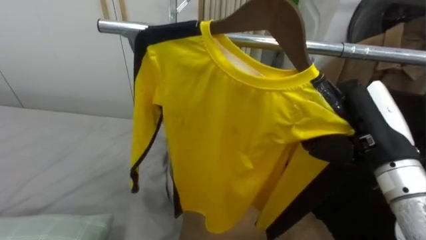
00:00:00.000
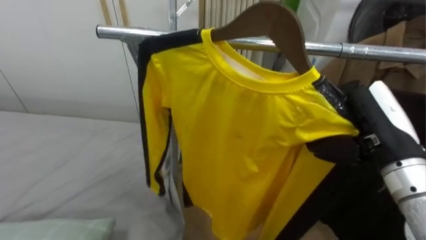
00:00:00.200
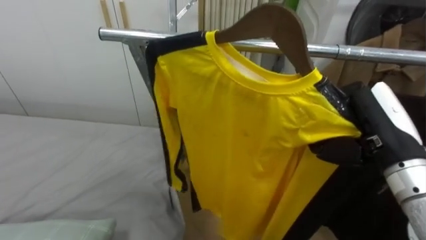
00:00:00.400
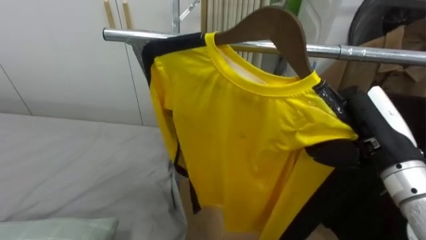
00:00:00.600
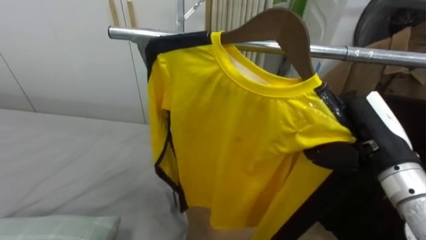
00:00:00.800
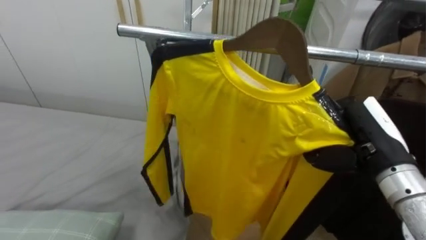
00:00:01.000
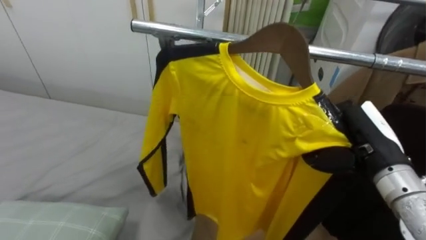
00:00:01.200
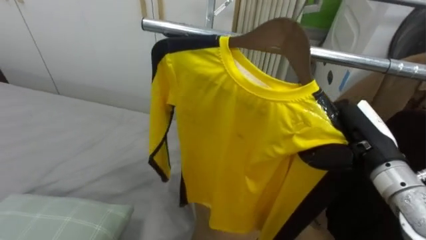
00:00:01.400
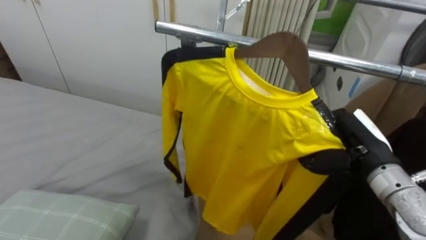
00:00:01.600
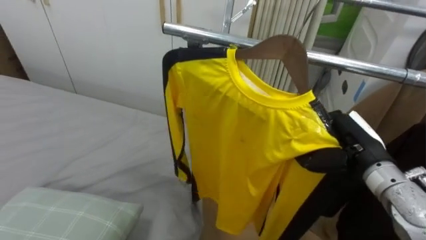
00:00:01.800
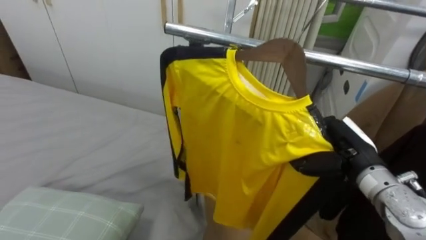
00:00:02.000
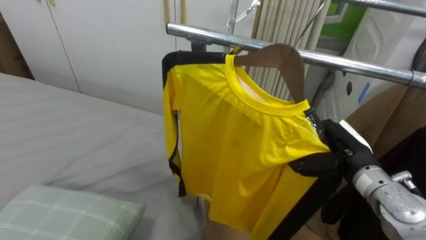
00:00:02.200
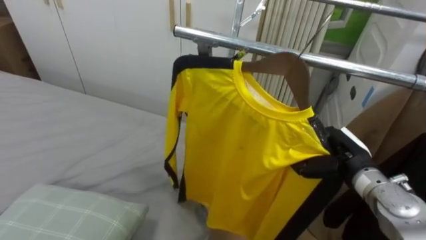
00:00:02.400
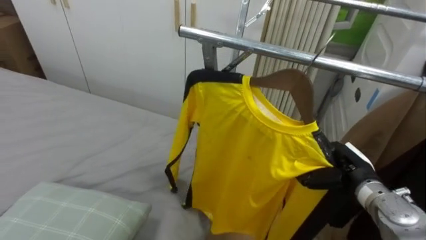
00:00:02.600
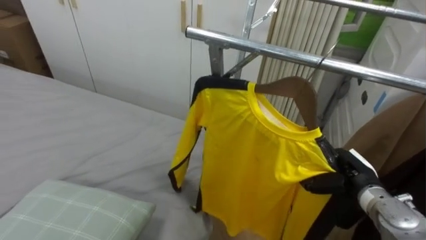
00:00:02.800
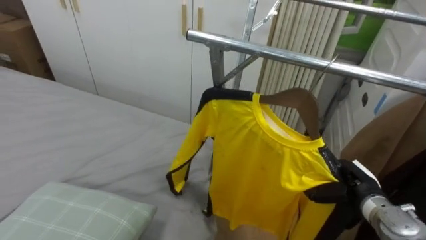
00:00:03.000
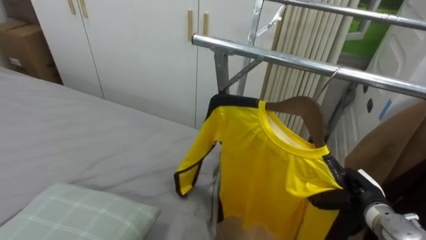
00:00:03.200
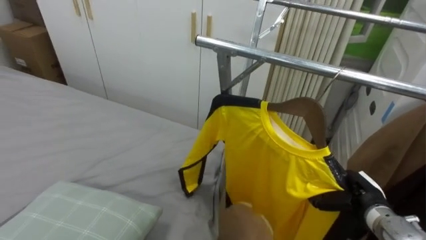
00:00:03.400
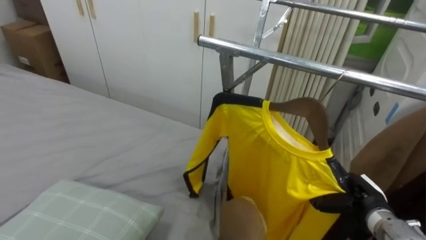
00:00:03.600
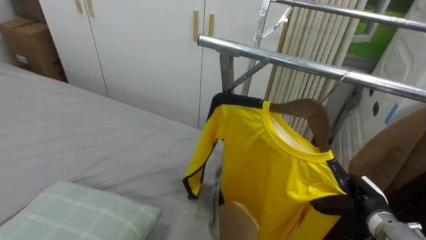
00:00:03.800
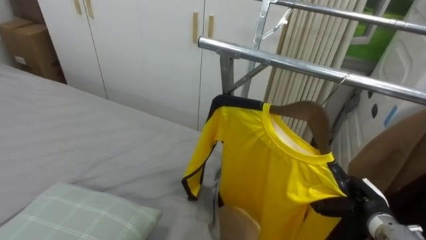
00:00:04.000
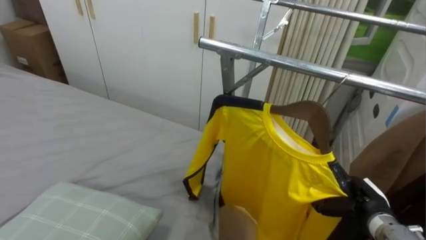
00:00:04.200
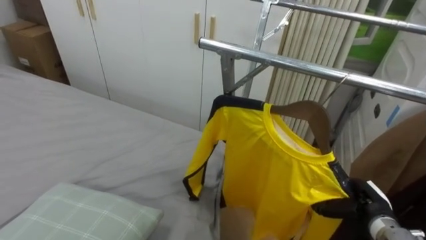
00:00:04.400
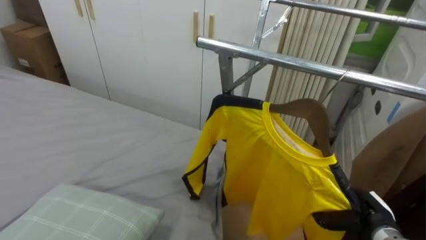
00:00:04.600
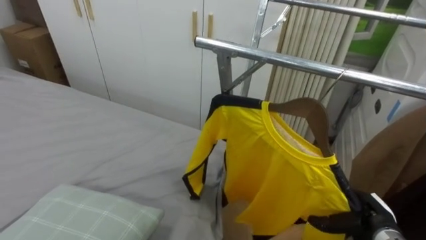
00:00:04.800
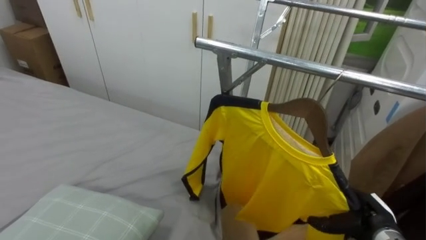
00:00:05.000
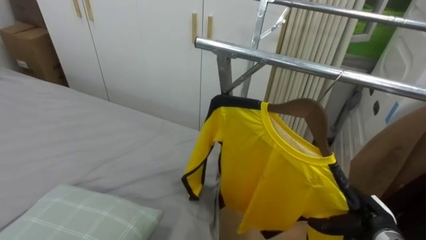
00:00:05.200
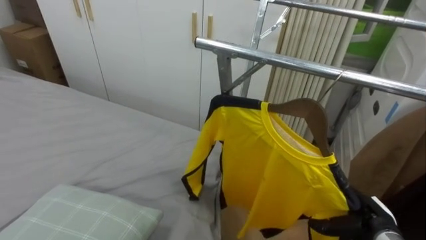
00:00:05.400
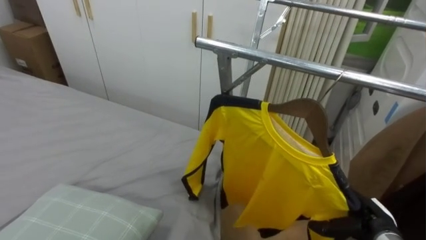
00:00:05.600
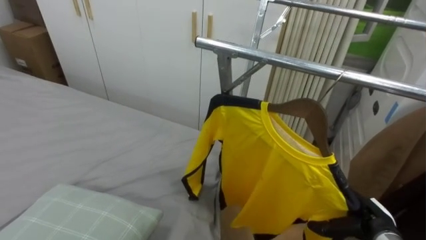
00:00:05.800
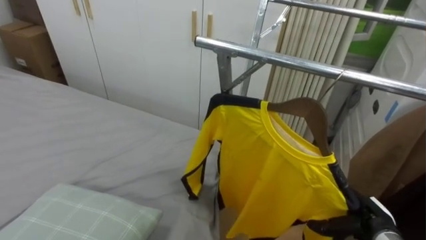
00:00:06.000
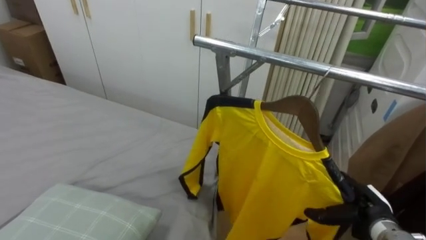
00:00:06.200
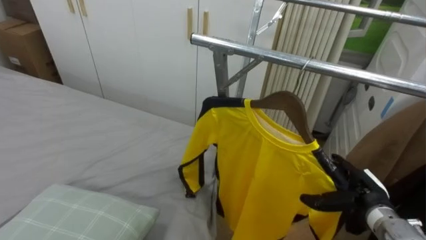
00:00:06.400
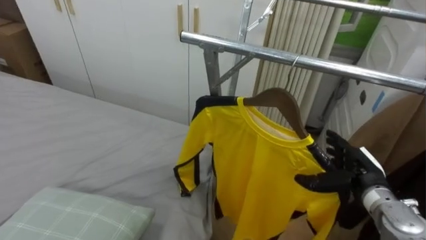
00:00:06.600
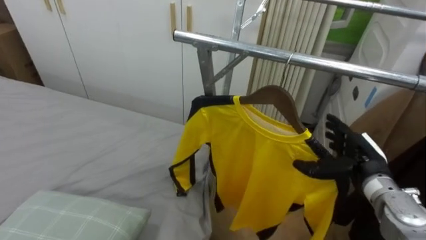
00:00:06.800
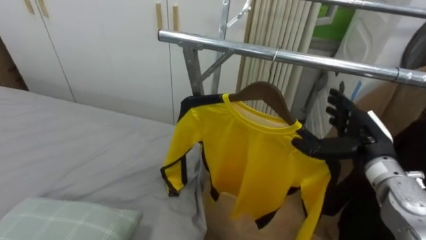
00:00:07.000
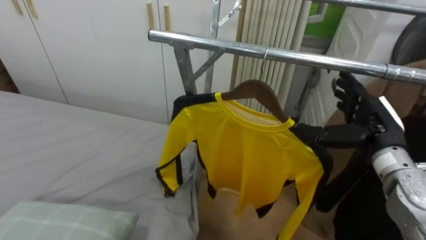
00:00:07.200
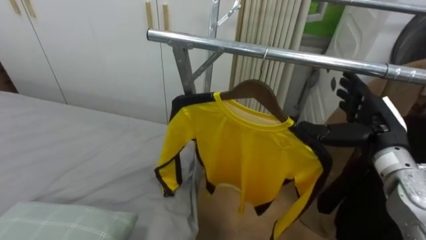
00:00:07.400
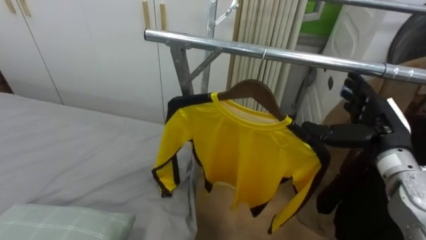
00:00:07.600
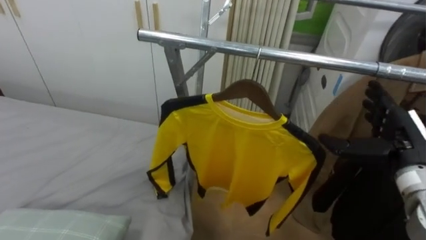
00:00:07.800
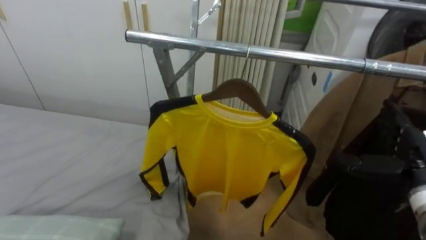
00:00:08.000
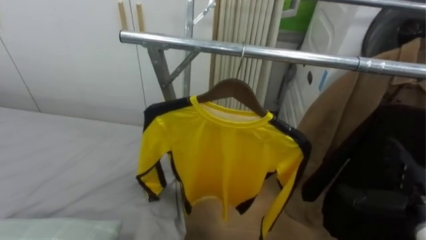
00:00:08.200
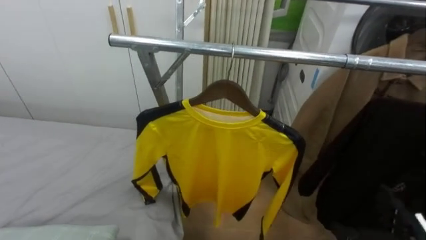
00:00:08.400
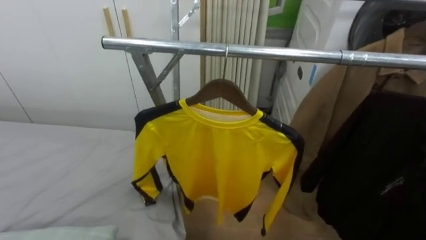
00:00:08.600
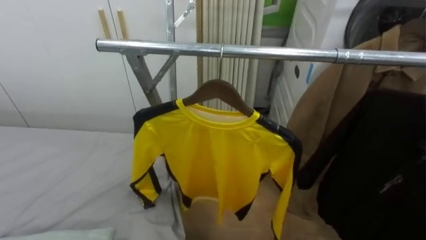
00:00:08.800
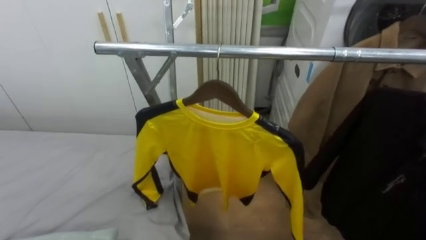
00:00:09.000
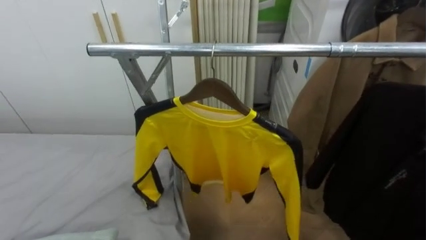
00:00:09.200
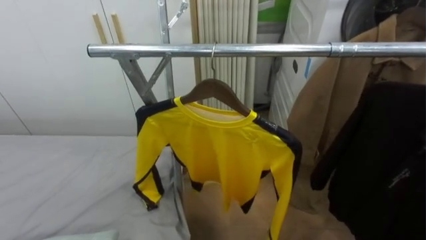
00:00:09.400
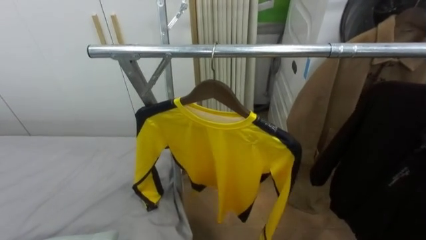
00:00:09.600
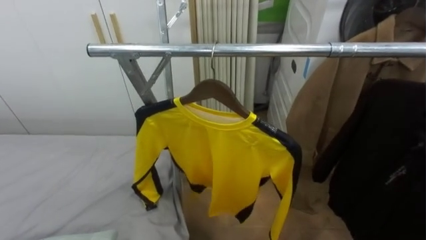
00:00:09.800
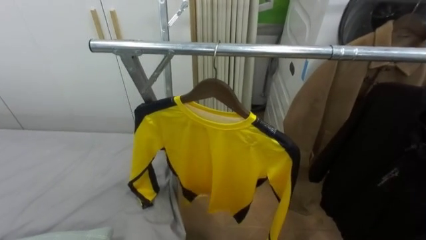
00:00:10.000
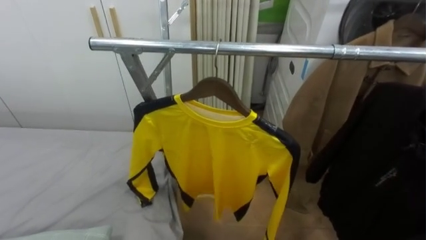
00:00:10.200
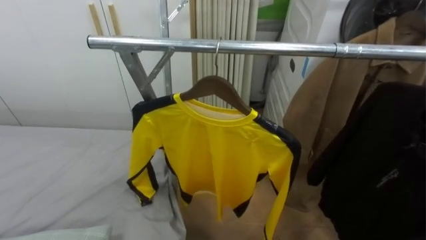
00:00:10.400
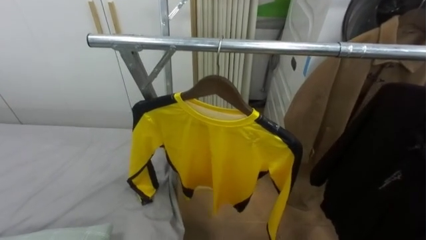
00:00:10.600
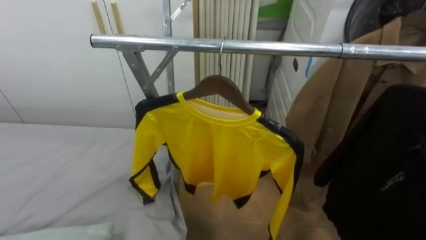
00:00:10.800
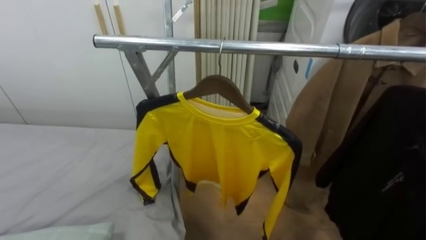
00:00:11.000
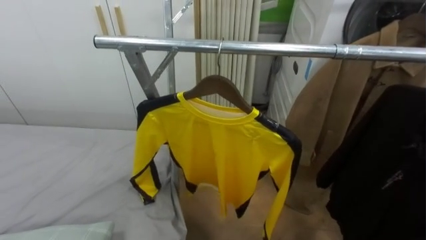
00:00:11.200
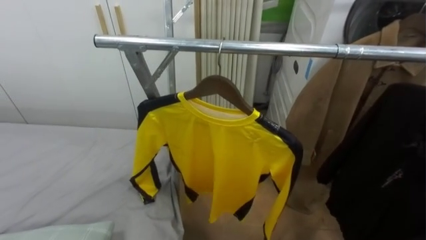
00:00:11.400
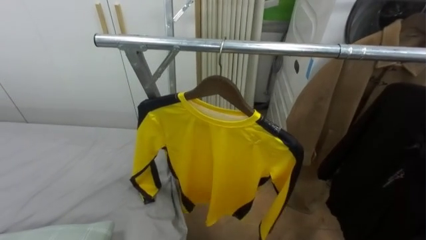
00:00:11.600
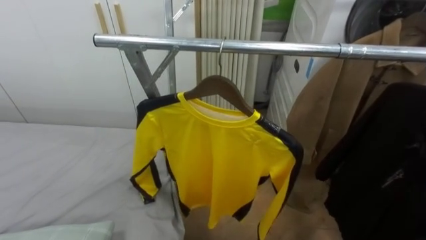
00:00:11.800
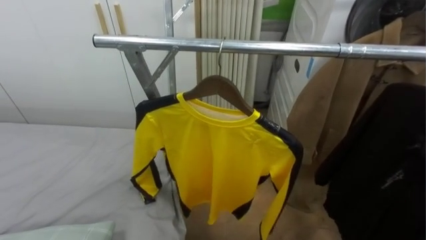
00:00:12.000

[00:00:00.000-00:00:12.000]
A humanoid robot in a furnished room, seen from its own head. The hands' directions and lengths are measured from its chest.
Task of the whole recording: Pick up the yellow shirt on the bed and hang it on the clothes rack on the right.
00:00:00.000 to 00:00:01.600: The right hand travels downward by roughly 5 cm.
00:00:01.600 to 00:00:03.000: The right hand shifts approximately 15 cm downward.
00:00:04.400 to 00:00:06.000: The right hand opens its fingers.
00:00:06.000 to 00:00:07.600: The right hand moves upward, about 20 cm.

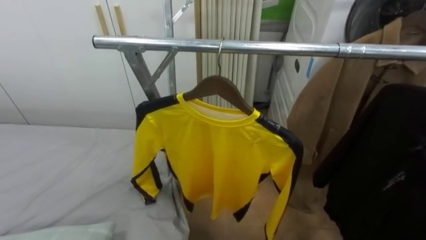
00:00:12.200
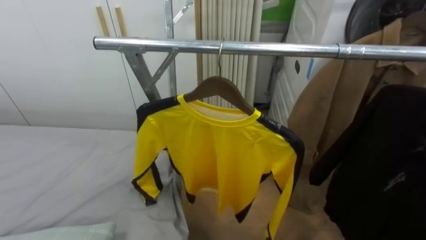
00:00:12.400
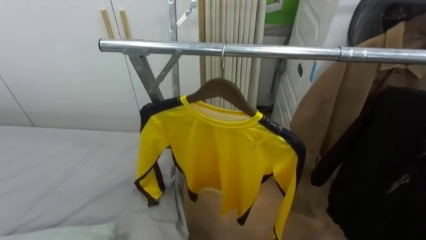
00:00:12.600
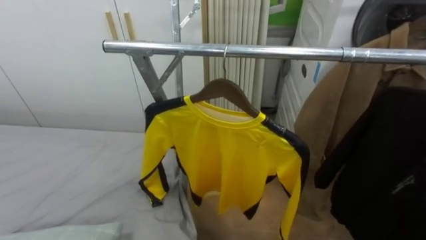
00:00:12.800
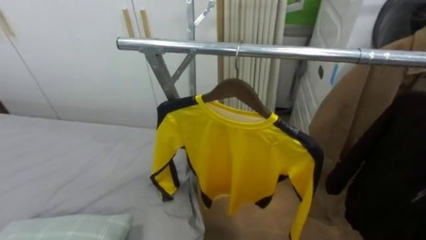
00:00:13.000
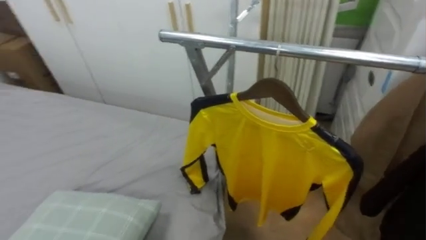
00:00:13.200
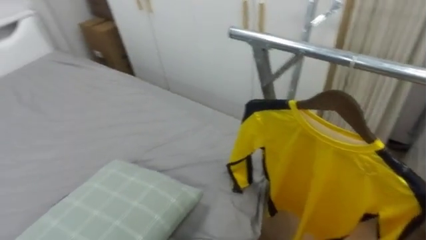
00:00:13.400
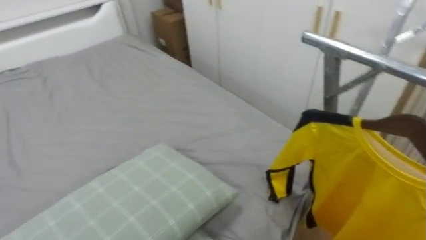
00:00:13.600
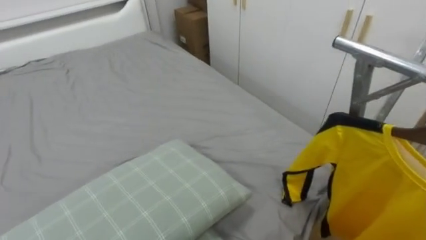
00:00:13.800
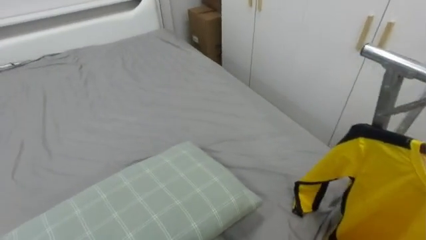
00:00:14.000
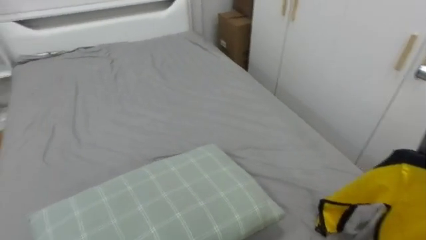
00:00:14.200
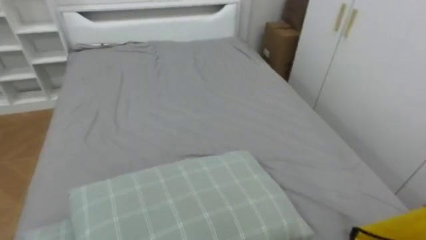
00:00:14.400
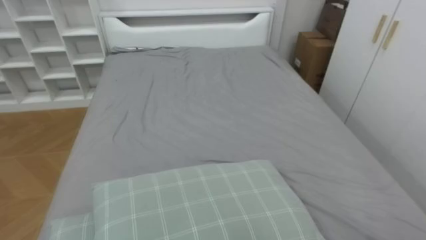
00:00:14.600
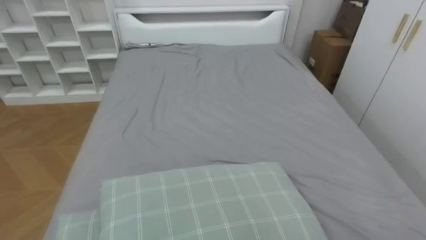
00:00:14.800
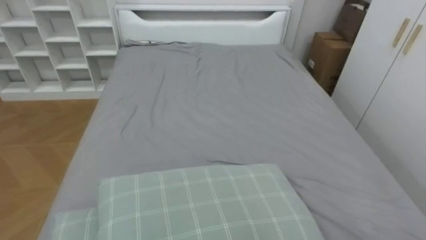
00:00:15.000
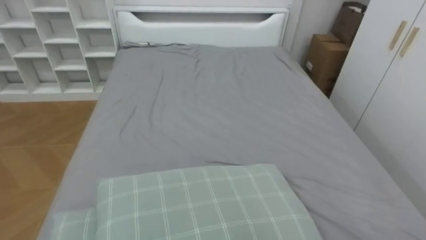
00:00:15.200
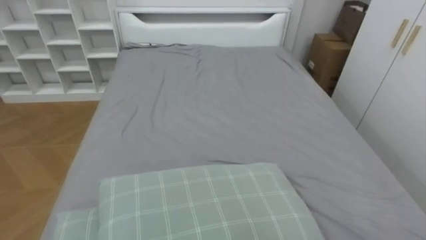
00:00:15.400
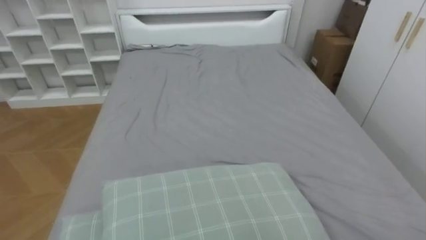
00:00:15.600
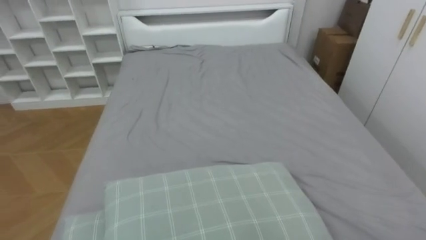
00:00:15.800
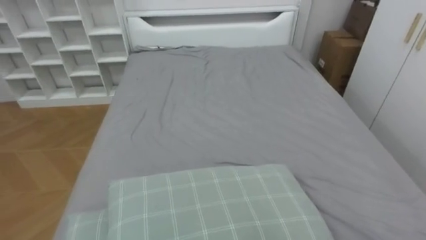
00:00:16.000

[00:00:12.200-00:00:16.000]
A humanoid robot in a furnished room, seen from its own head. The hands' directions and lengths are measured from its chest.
Task of the whole recording: Pick up the yellow shirt on the bed and hang it on the clothes rack on the right.
00:00:12.200 to 00:00:13.400: The robot turns to its left by roughly 30 degrees.
00:00:13.400 to 00:00:14.800: The robot turns to its left by some 50 degrees.

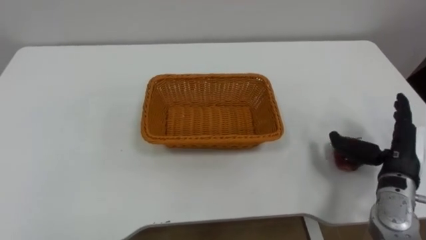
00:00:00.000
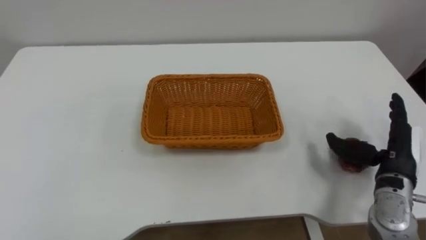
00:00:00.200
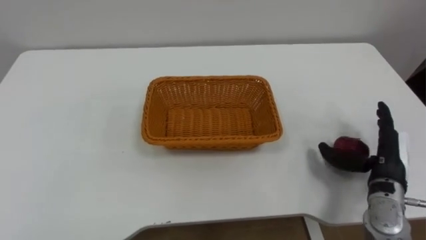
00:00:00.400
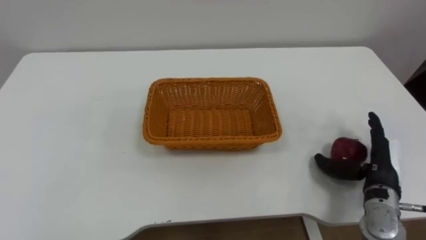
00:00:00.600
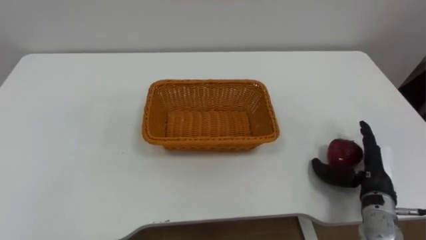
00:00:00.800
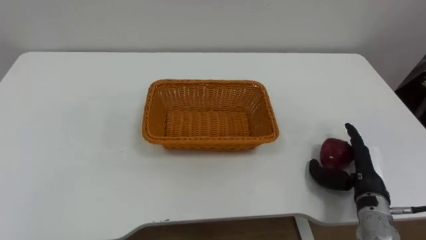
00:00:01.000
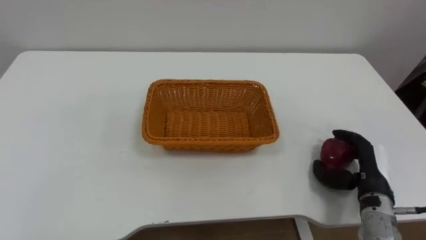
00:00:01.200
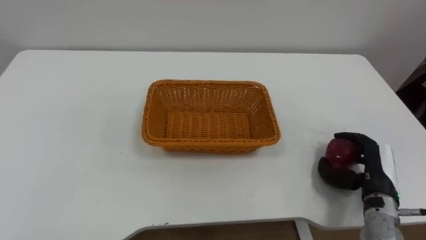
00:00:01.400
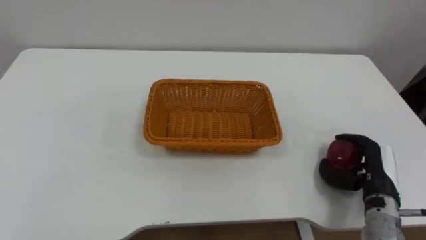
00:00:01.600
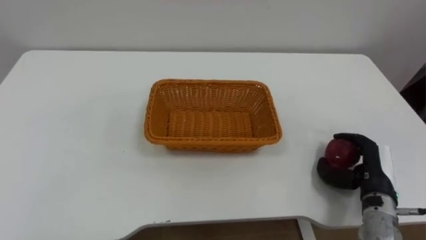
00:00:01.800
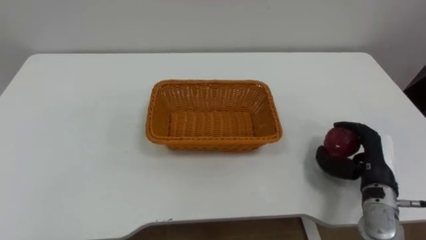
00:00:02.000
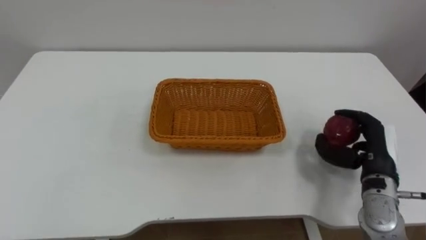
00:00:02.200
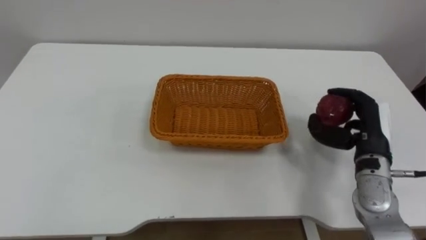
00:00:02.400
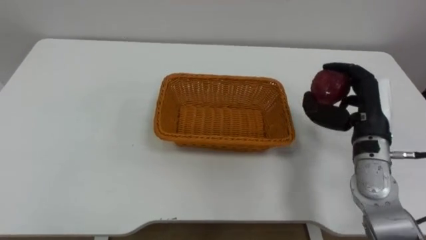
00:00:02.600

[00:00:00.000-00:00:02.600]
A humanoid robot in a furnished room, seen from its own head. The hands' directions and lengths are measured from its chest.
Task of the whole recording: Pick the apple and place it in the box.
00:00:00.000 to 00:00:01.200: The right hand shifts about 5 cm downward.
00:00:01.200 to 00:00:02.600: The right hand moves upward and forward, approximately 15 cm.
